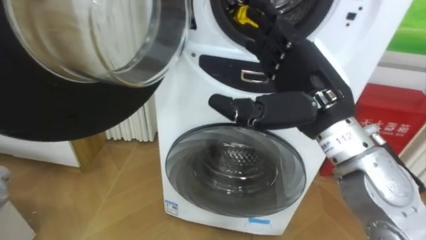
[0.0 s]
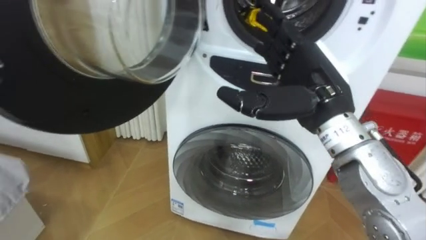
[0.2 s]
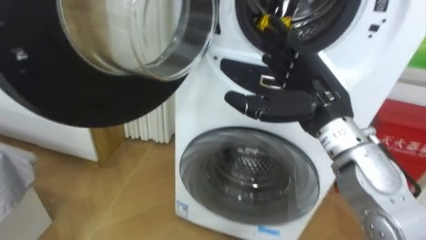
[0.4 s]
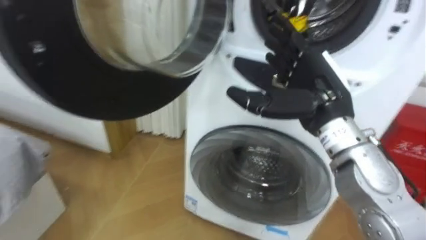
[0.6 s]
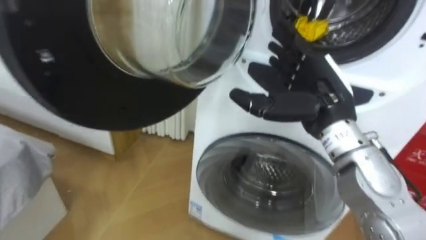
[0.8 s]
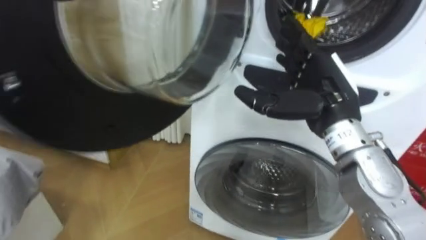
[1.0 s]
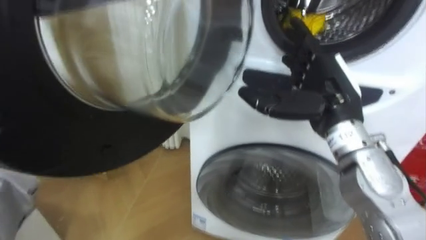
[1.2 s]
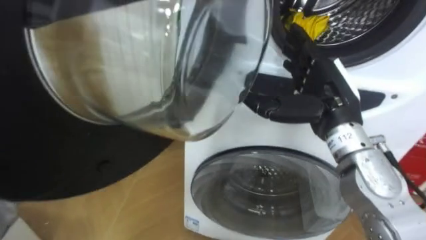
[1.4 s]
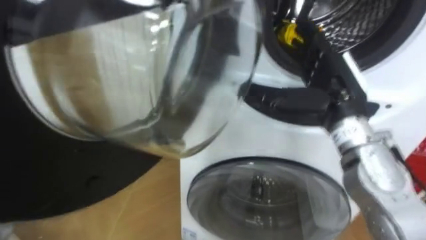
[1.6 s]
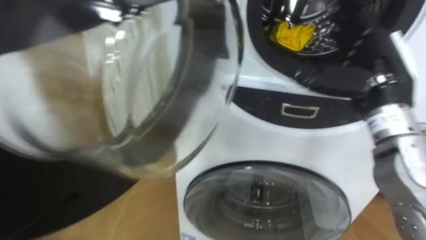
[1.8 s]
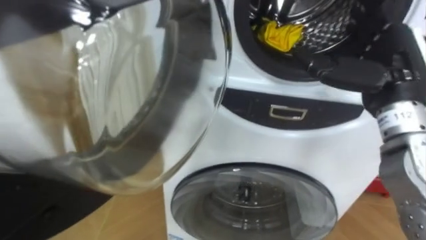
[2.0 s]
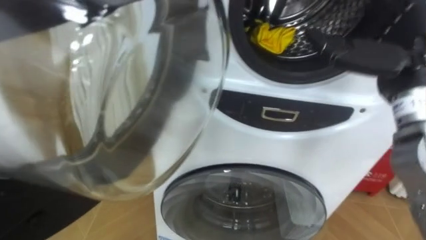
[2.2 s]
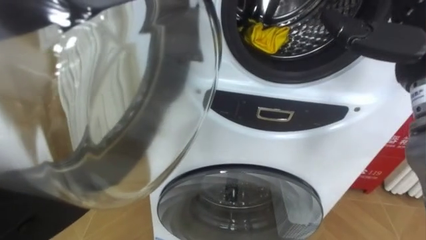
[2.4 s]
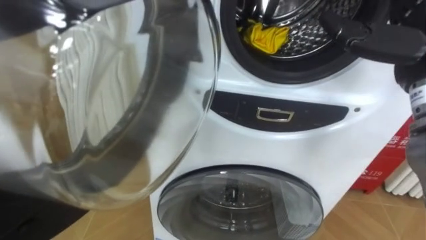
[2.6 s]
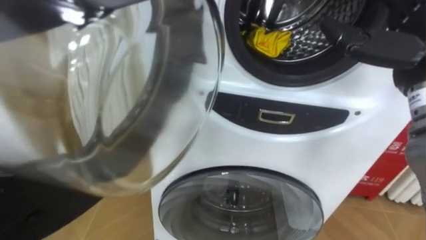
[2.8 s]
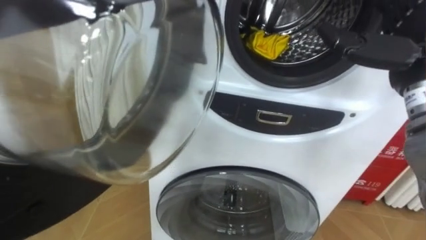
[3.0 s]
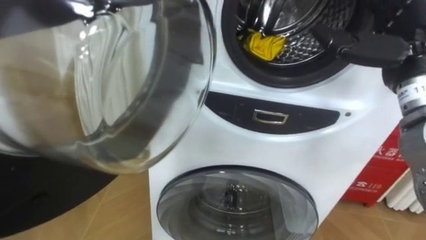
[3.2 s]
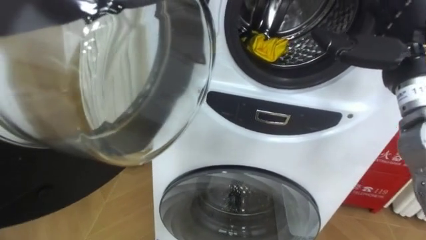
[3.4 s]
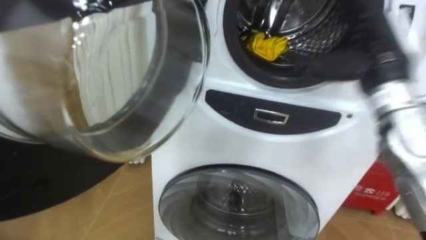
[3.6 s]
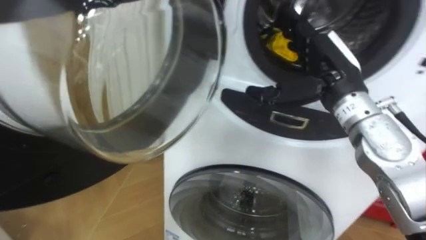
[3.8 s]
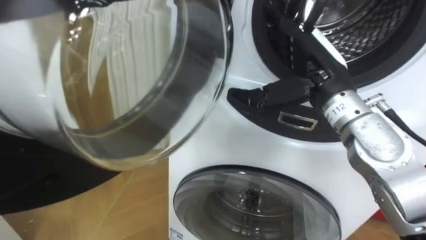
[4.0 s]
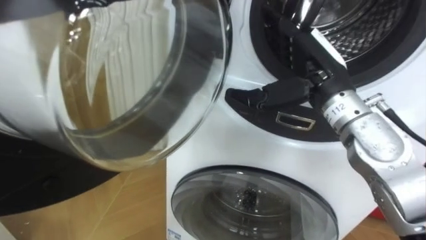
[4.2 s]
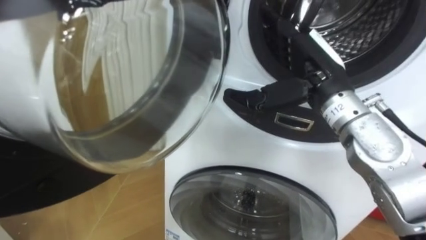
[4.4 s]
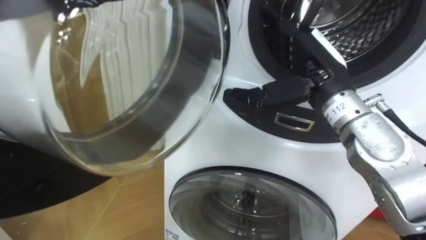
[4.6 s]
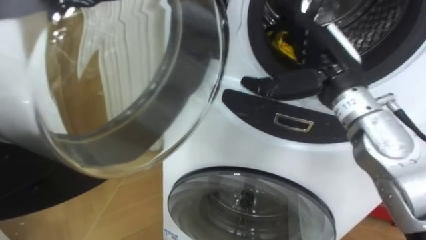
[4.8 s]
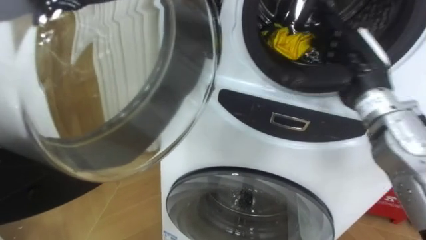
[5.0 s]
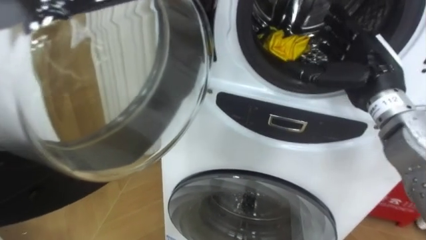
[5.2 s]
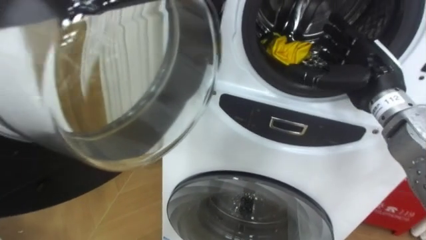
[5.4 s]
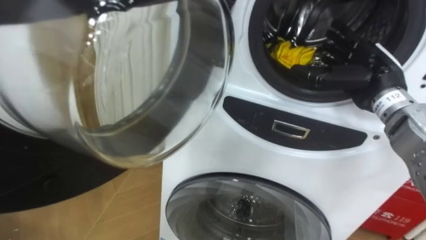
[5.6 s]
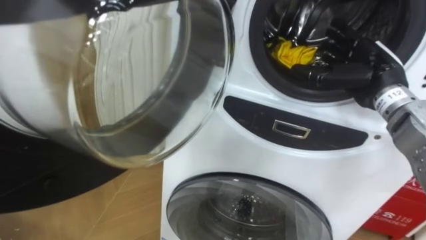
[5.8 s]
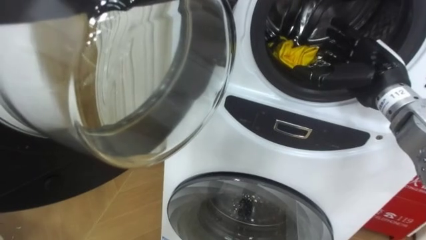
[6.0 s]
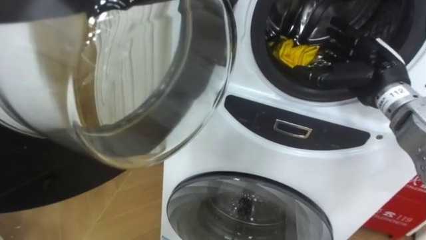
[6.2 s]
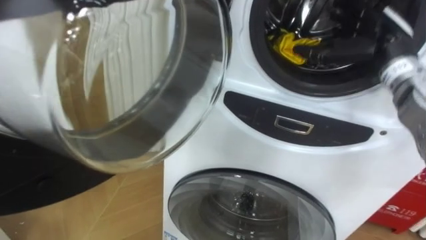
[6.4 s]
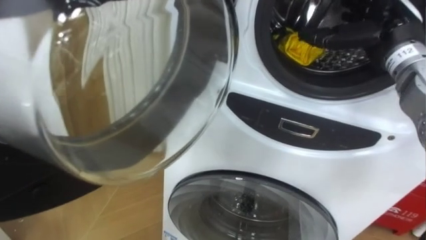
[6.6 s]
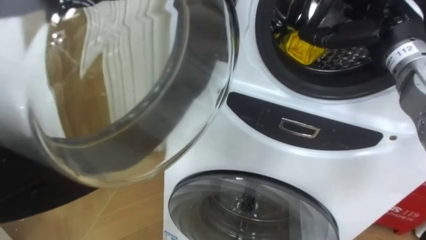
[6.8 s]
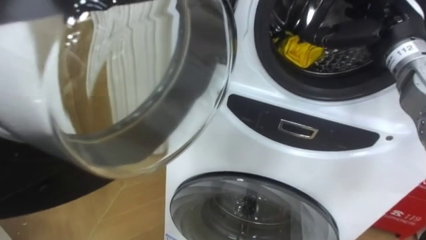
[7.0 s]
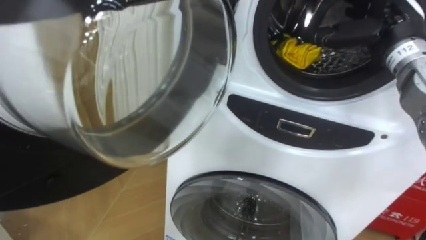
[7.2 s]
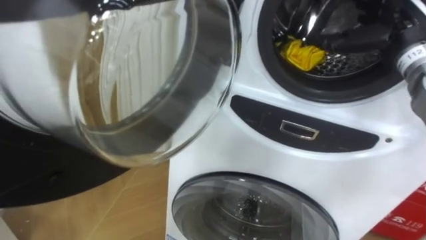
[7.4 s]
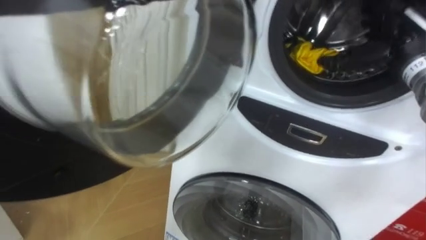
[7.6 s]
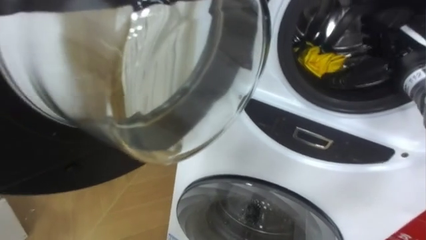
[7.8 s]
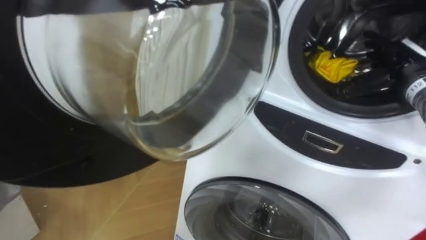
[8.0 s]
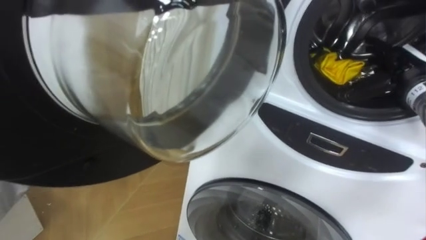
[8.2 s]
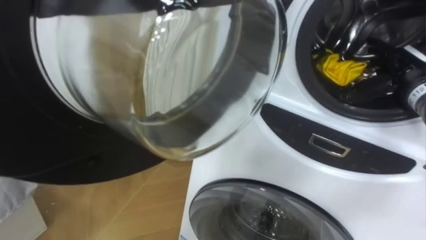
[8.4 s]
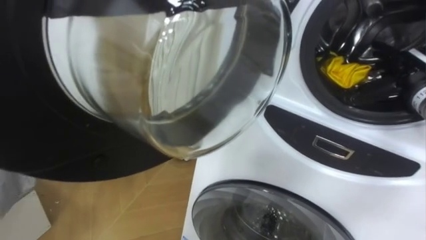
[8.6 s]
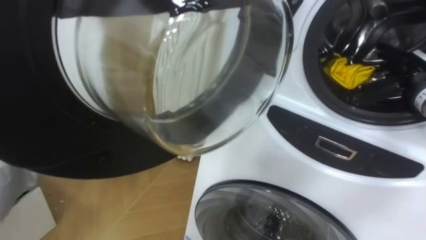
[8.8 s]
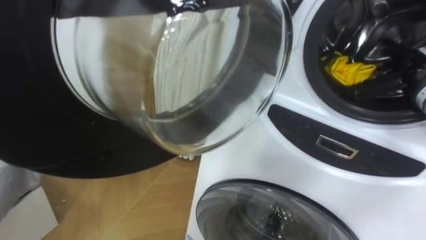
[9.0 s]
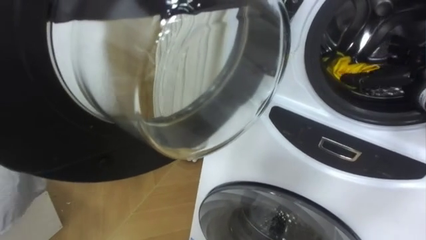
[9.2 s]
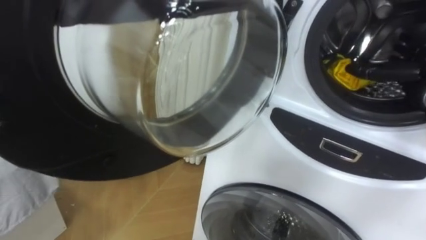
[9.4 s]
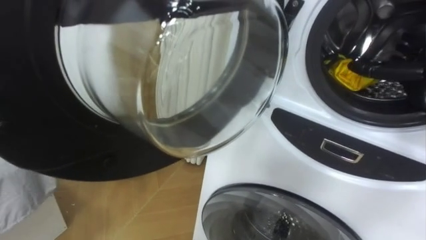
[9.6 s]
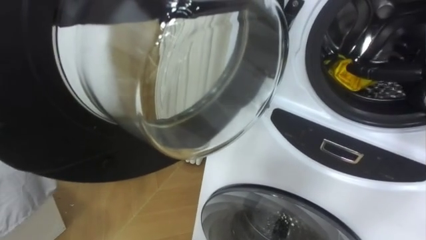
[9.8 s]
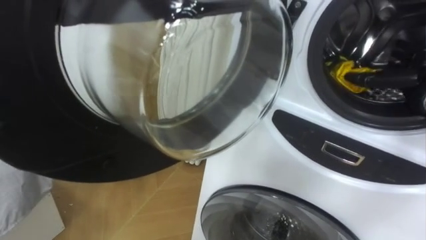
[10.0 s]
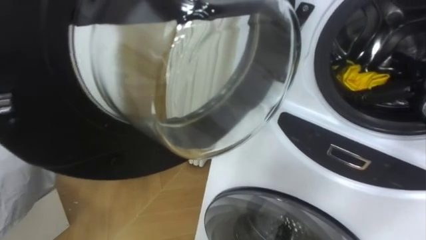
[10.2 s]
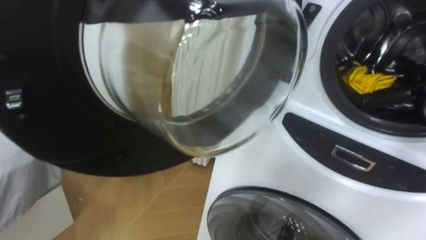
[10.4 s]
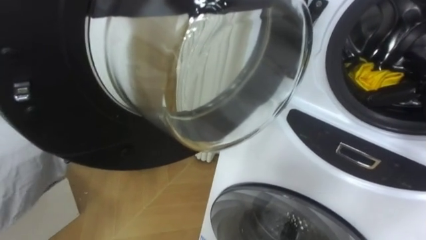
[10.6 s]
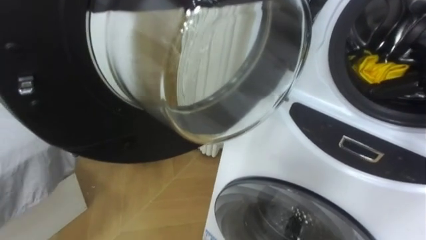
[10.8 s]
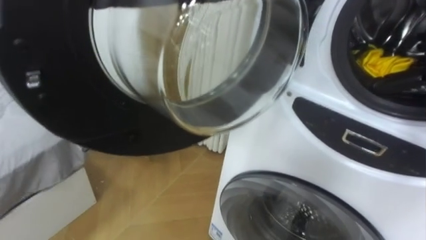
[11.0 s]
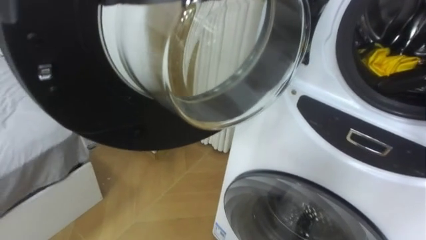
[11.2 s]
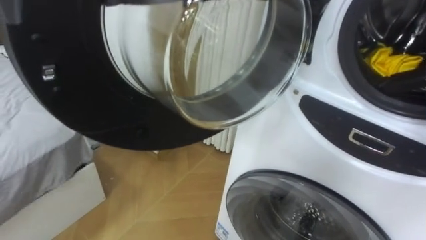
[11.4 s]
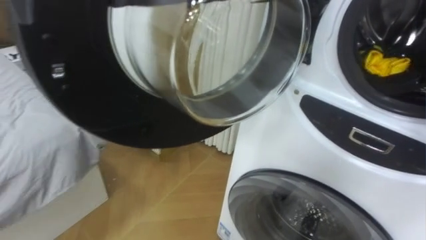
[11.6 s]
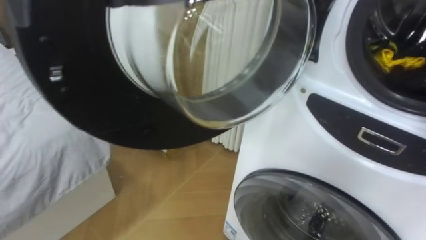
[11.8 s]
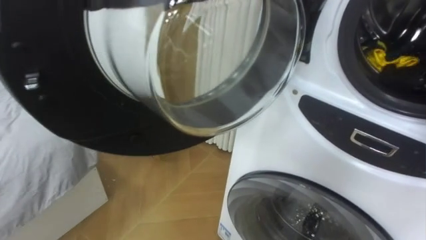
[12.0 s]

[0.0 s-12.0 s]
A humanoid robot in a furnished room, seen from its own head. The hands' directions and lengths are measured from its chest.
Task of the whole recording: Open the washing machine door, take out the yellow clothes, place them in the box on the right, and close the washing machine door.
0.0 to 1.6 s: The right hand moves to the right, some 5 cm.
1.6 to 3.0 s: The right hand is displaced to the right and upward by some 10 cm.
3.0 to 4.4 s: The right hand moves to the left, about 10 cm.
4.4 to 6.0 s: The right hand heads to the right, covering some 10 cm.
6.0 to 7.6 s: The right hand ends up approximately 5 cm from where it was.
7.6 to 9.0 s: The right hand goes roughly 5 cm downward.

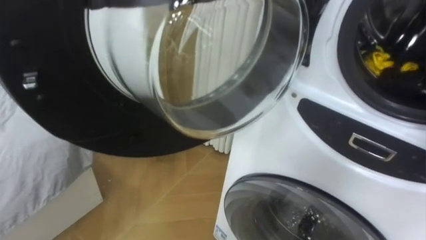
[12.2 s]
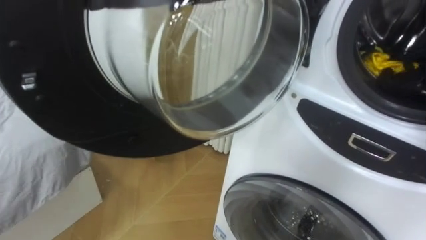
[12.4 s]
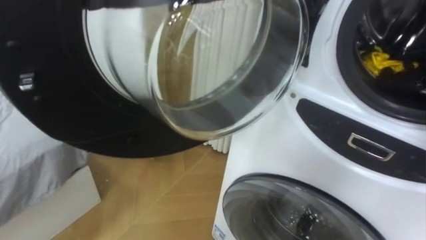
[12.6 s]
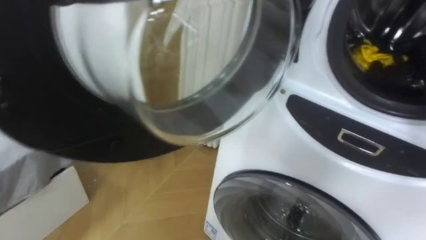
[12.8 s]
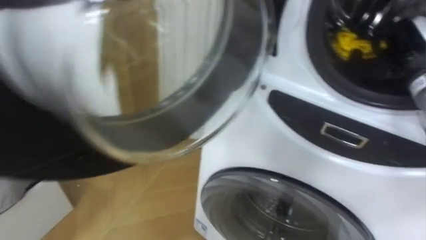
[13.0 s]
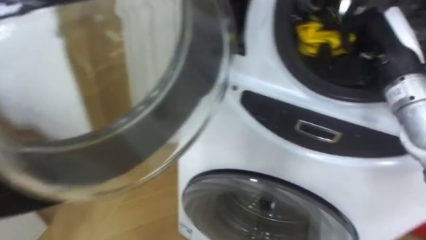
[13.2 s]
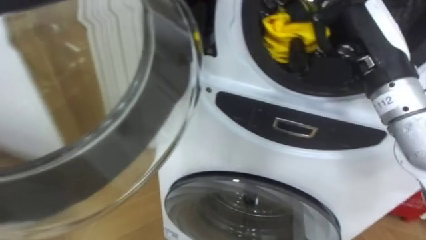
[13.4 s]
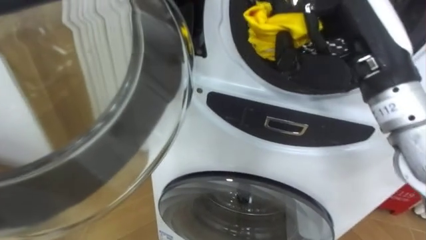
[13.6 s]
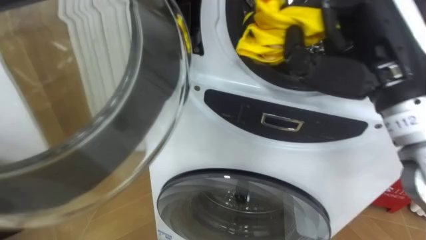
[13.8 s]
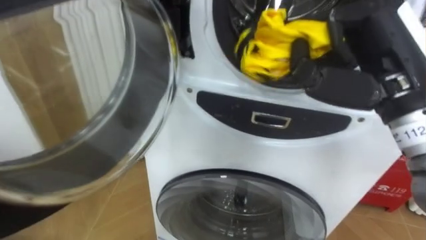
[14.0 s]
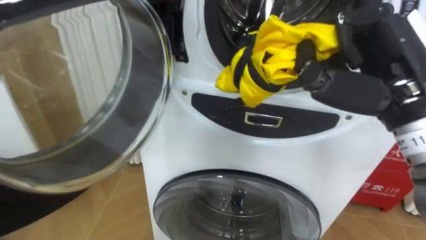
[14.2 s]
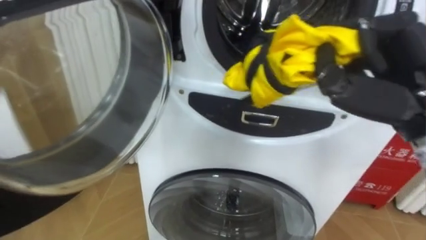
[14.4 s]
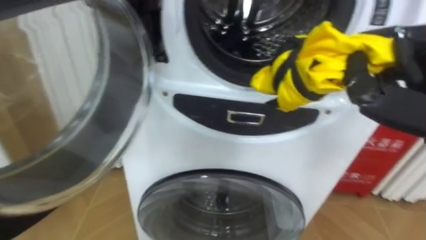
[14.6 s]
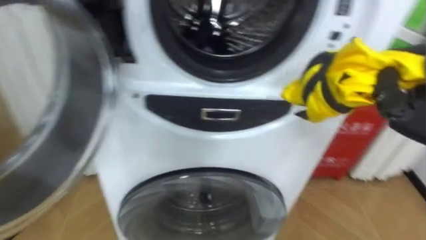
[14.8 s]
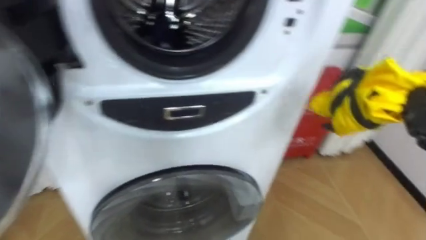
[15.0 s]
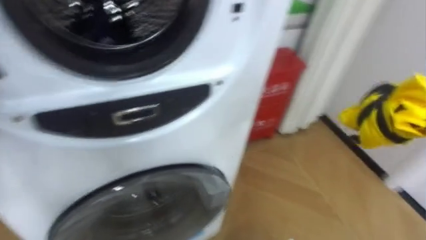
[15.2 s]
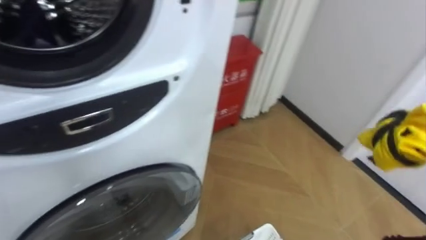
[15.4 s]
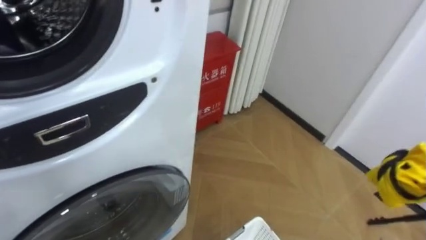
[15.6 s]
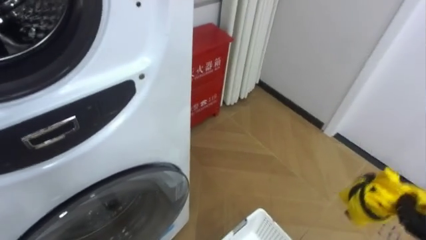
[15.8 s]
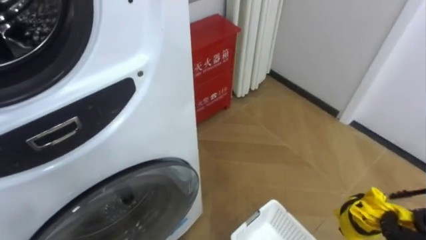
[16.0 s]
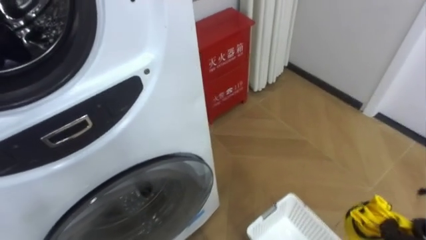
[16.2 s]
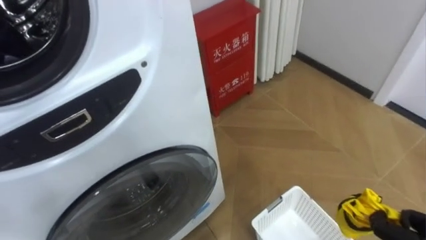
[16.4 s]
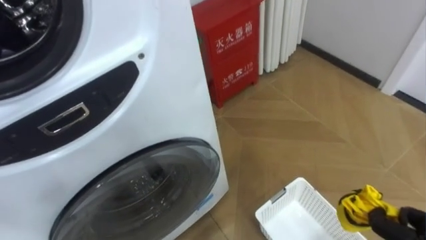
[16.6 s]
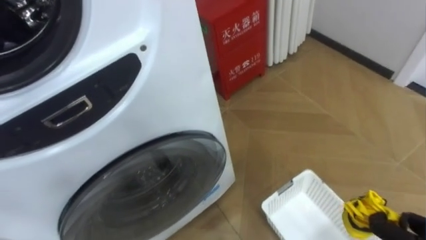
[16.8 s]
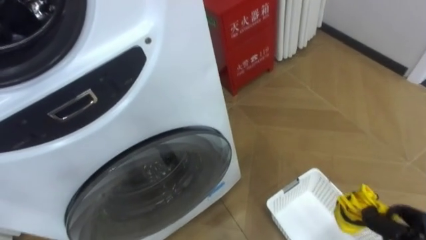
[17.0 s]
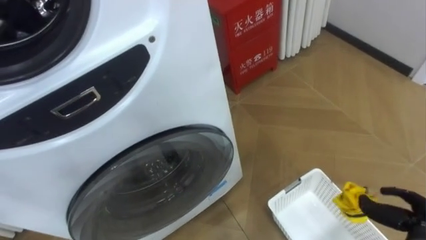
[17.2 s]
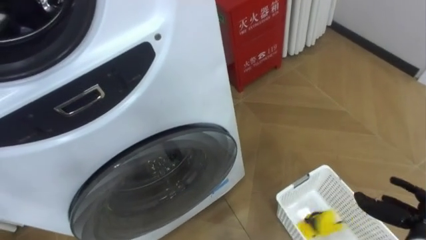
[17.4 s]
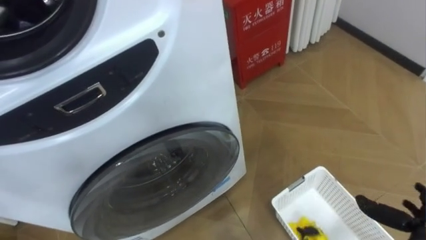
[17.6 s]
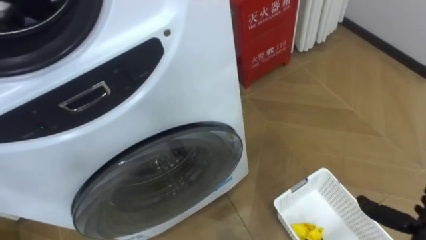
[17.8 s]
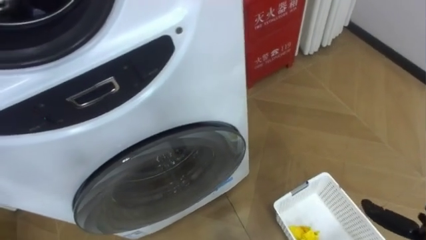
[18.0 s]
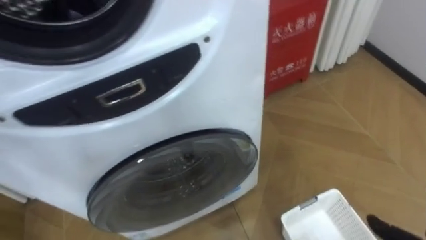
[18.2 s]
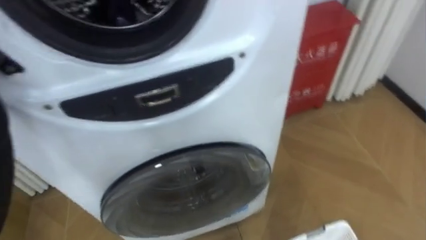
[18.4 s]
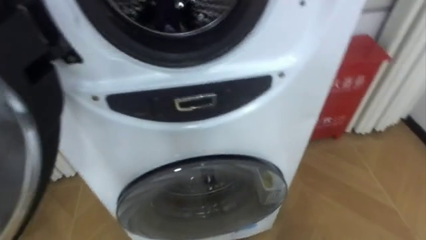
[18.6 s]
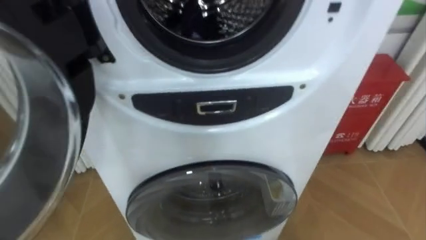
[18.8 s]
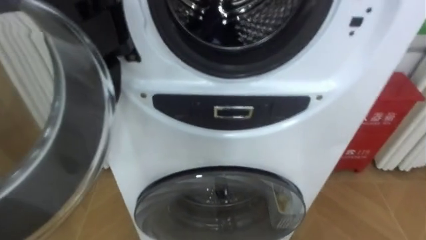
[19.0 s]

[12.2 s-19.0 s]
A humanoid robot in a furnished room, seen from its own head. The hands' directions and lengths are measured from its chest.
Task of the whole recording: Open the washing machine door, take out the yellow clothes, place them in the box on the right, and close the washing machine door.
15.0 to 16.2 s: The robot's body swings roughly 20 degrees to its right.
17.6 to 19.0 s: The robot faces about 20 degrees further to its left.
